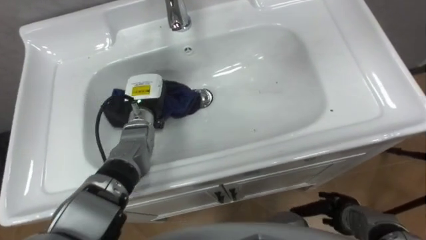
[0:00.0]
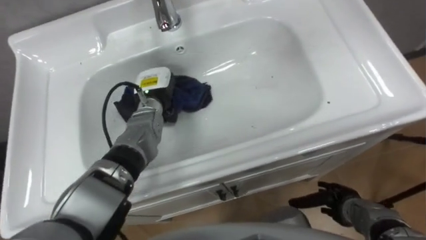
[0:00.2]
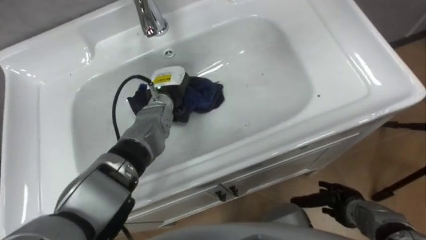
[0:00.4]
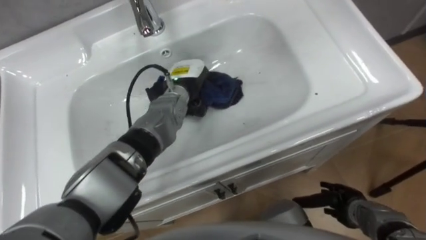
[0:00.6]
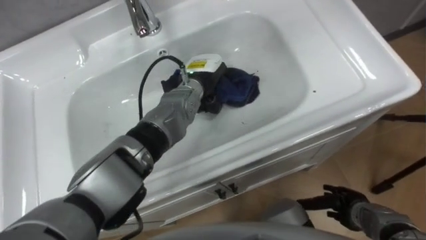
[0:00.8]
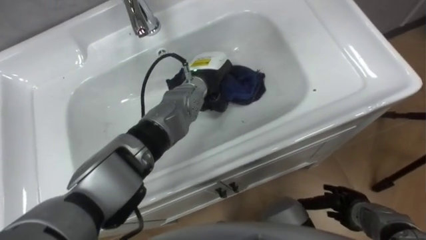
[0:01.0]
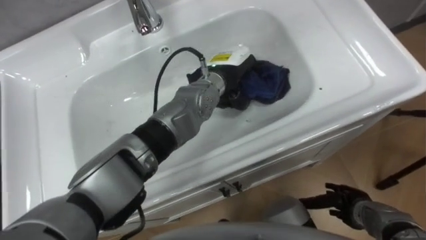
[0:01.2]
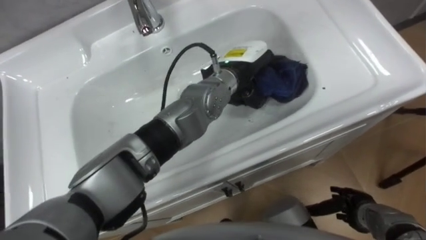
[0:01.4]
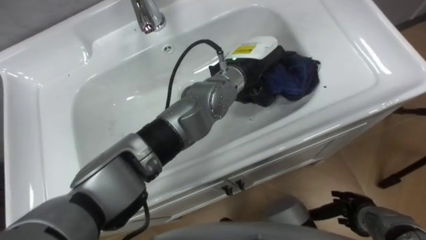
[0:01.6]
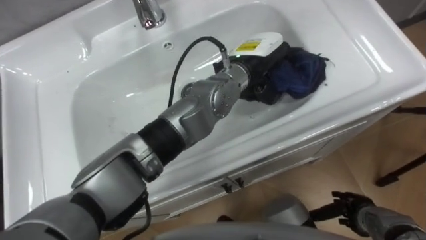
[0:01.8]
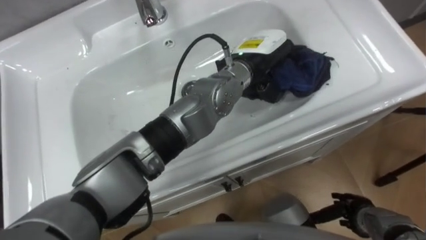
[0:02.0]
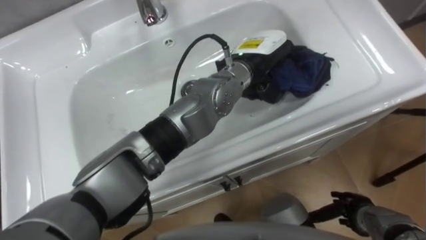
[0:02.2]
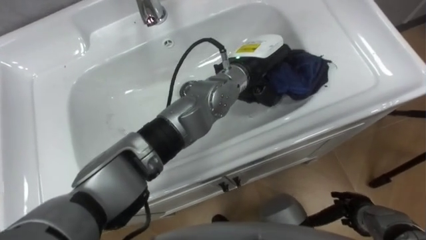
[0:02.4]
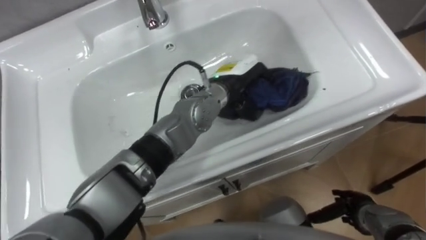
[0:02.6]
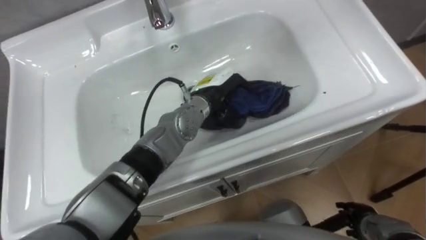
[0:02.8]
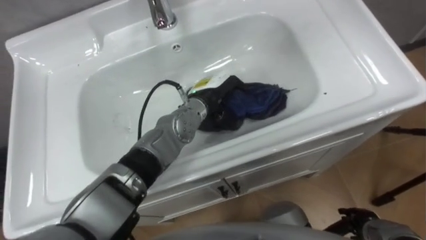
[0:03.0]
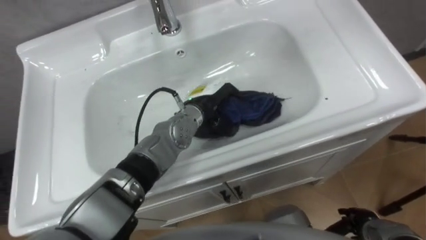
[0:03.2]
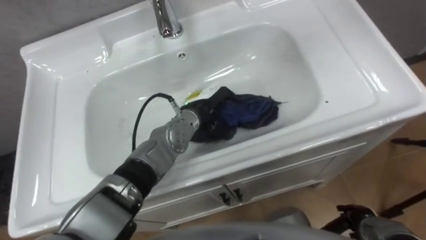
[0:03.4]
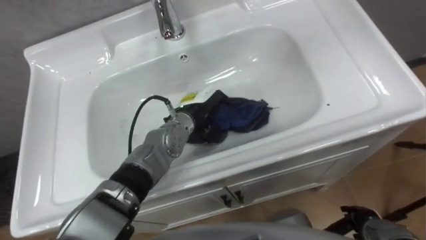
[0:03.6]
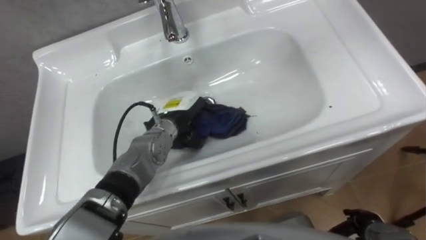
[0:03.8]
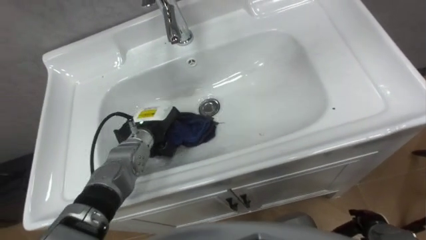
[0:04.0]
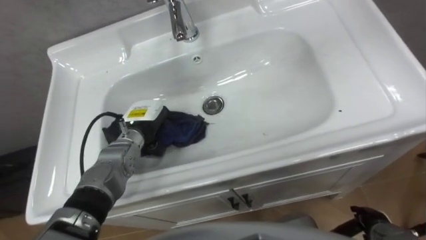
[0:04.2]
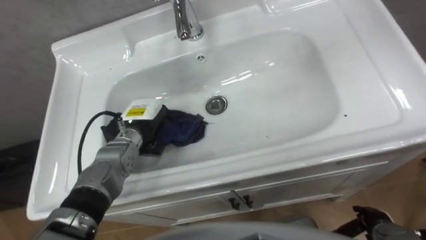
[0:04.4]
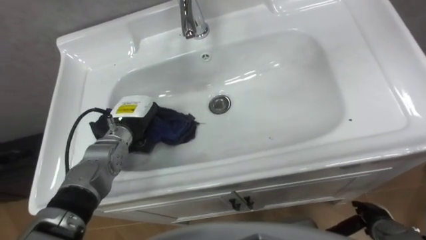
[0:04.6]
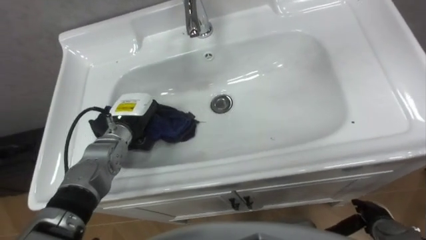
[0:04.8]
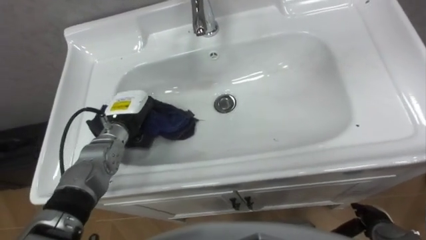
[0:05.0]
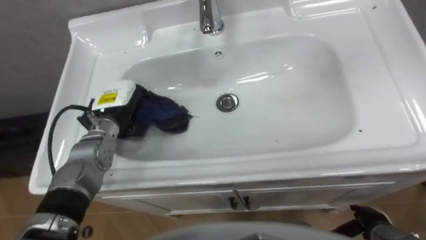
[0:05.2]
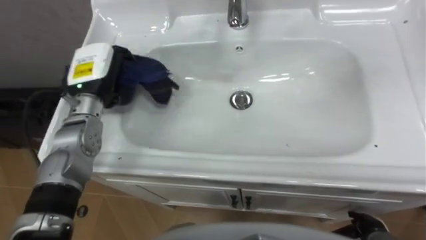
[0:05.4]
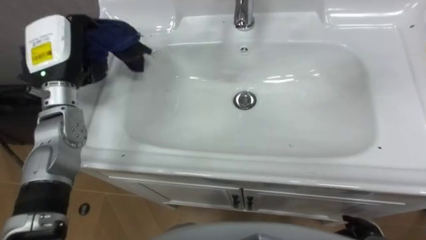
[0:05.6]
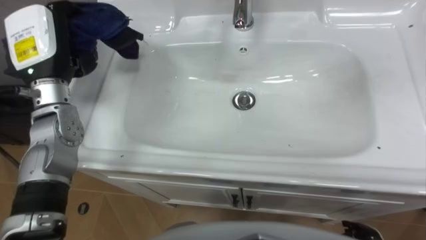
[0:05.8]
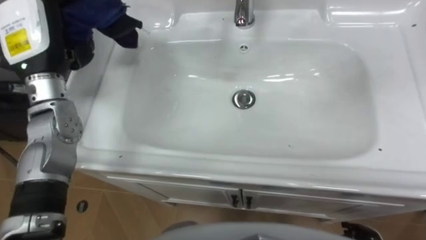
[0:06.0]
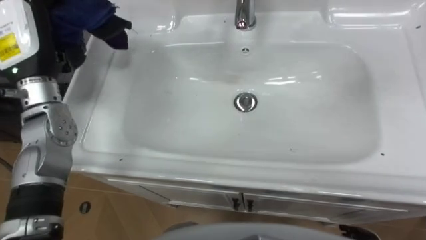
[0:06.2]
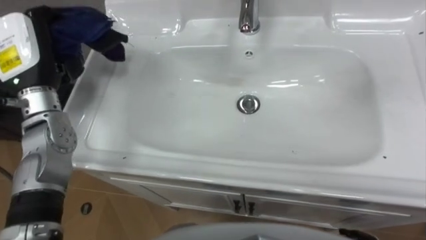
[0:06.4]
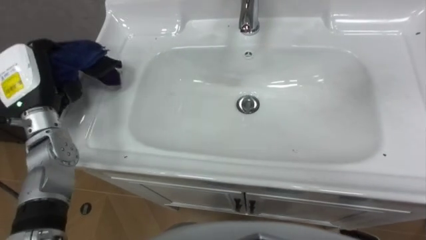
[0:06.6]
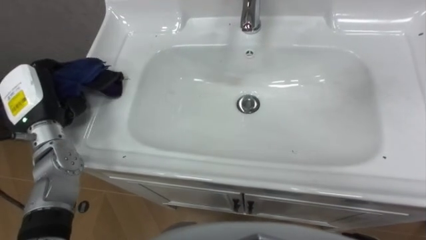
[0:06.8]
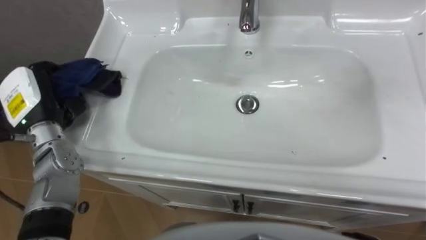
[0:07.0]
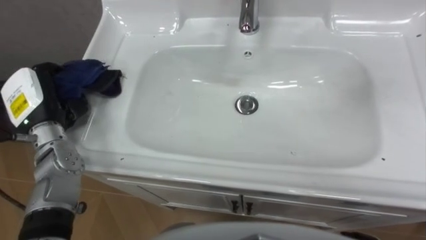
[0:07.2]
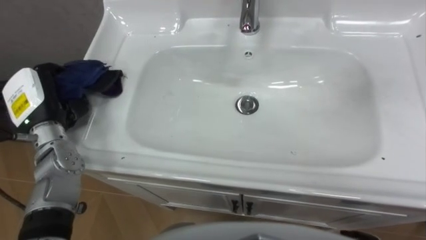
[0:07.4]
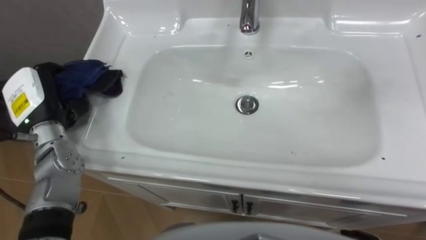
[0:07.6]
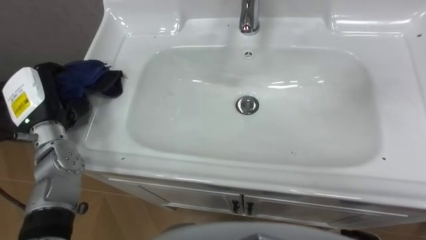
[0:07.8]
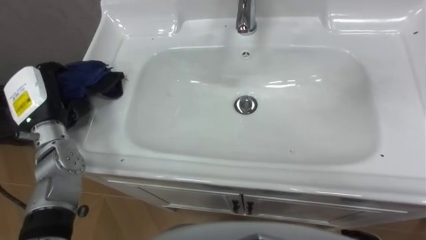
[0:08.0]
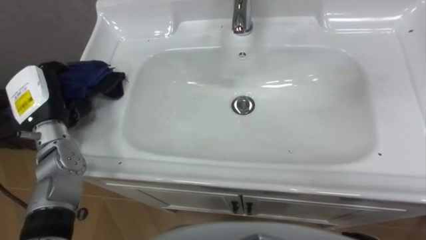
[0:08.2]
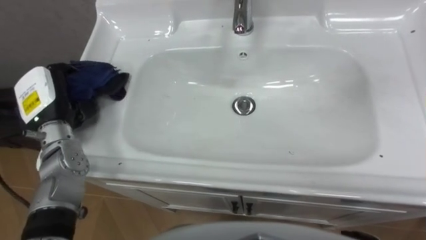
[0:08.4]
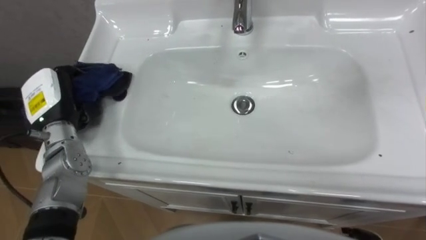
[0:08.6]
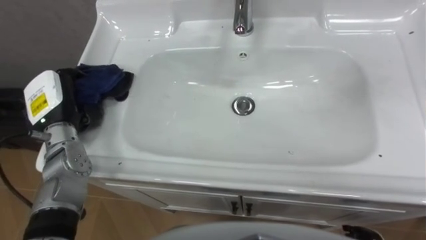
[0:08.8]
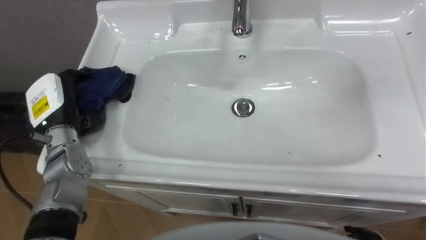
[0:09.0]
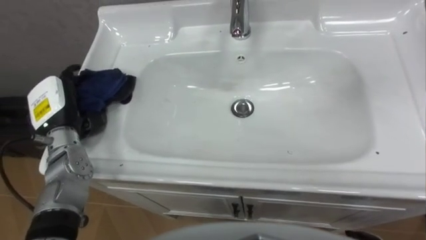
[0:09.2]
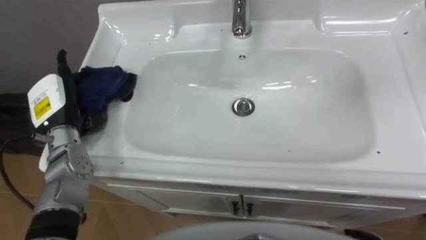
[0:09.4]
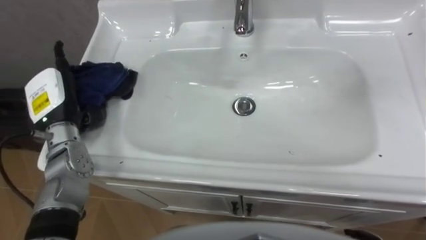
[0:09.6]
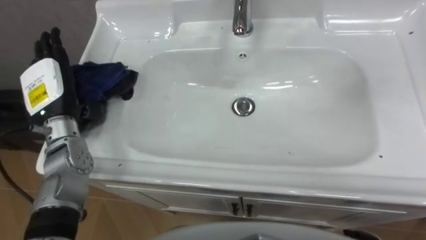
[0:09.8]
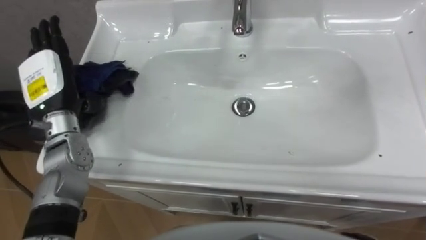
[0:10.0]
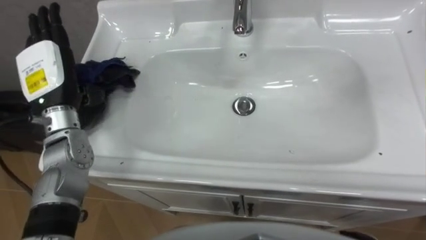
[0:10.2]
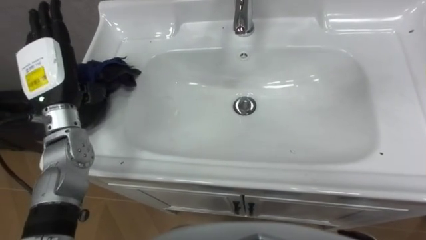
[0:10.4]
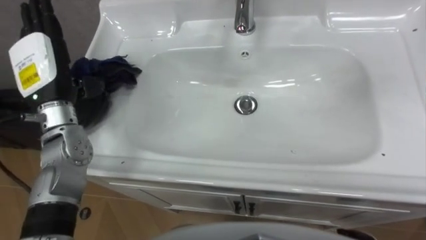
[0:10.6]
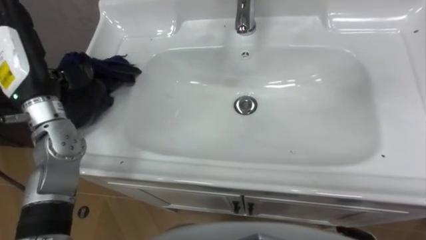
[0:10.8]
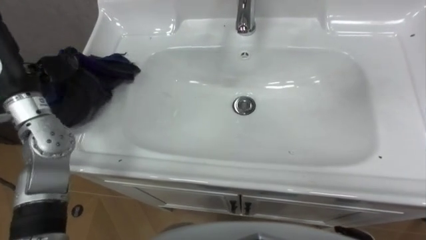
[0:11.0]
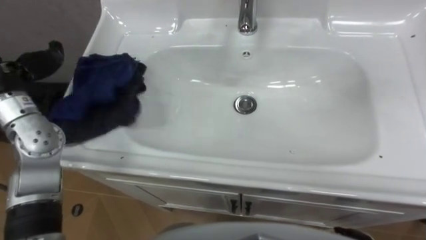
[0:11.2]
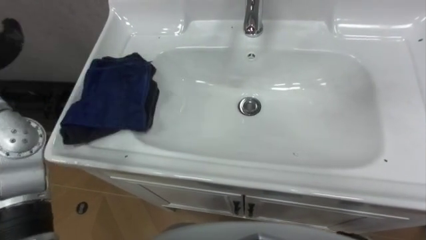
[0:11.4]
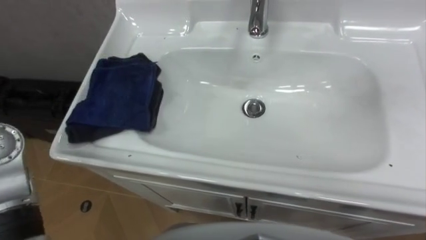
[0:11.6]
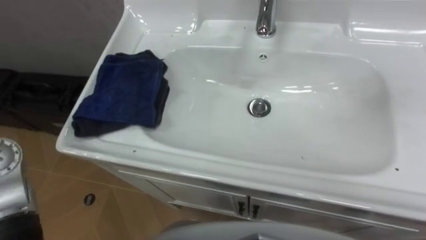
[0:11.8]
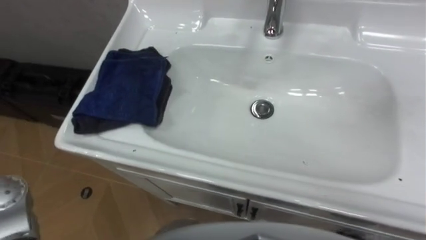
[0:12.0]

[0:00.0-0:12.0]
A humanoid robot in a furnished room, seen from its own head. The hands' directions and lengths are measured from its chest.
Task of the whole recording: Use the cloth on the right to wipe away the black stain in the sink.
0:00.0 to 0:01.6: The left hand heads to the right and upward, covering some 25 cm.
0:01.6 to 0:03.0: The left hand travels downward and to the left by about 10 cm.
0:03.0 to 0:04.4: The left hand heads to the left, covering some 15 cm.
0:04.4 to 0:06.0: The left hand moves upward and to the left, approximately 25 cm.
0:06.0 to 0:07.6: The left hand heads downward, covering about 10 cm.
0:09.0 to 0:10.4: The left hand heads upward, covering roughly 5 cm, and opens its fingers.

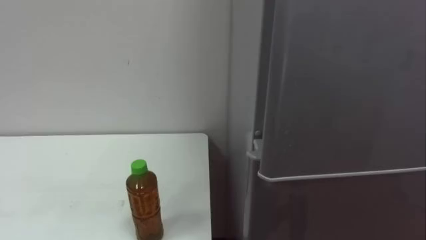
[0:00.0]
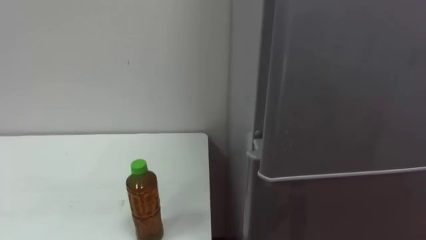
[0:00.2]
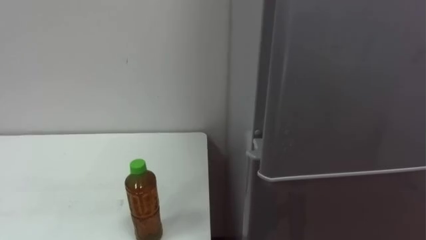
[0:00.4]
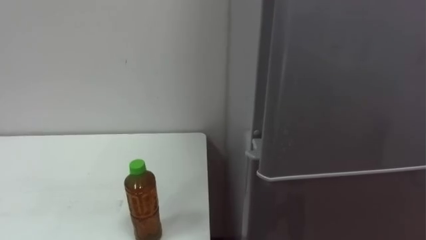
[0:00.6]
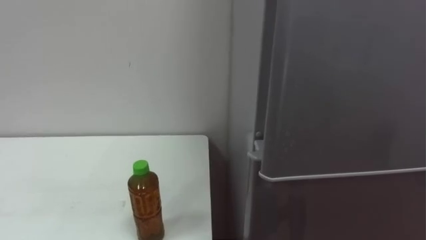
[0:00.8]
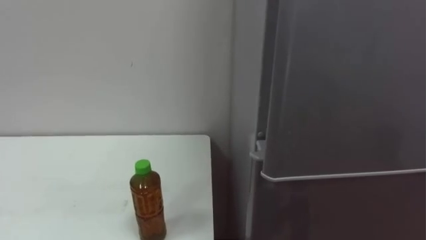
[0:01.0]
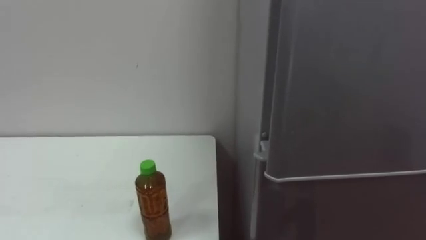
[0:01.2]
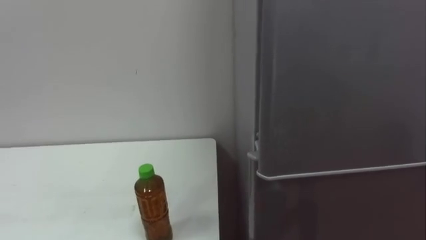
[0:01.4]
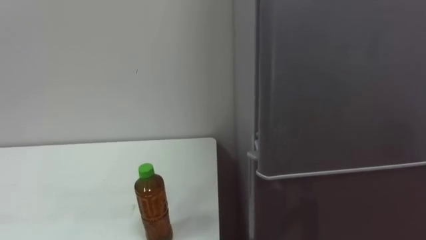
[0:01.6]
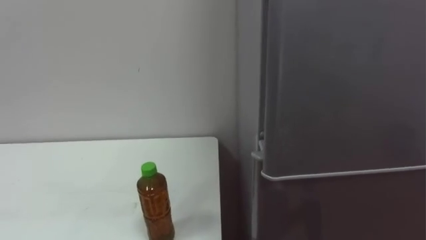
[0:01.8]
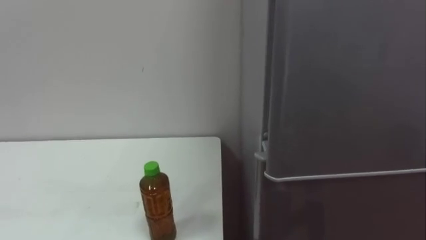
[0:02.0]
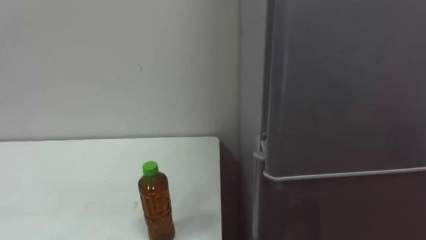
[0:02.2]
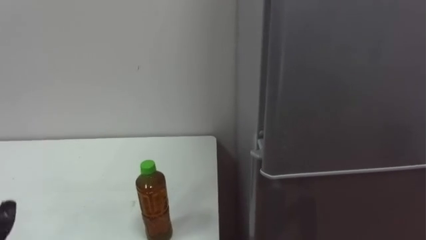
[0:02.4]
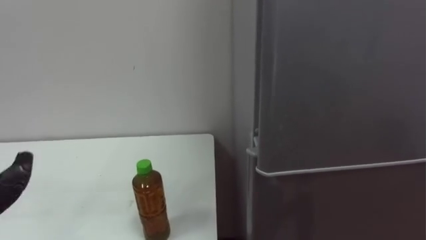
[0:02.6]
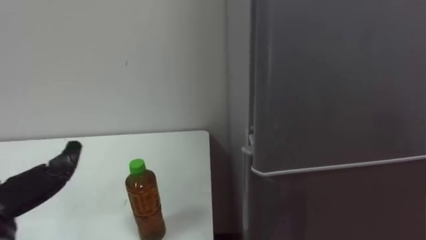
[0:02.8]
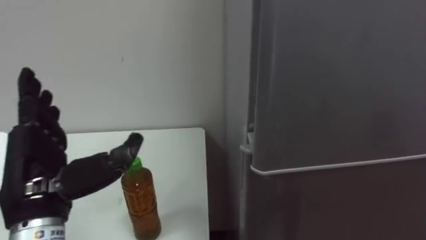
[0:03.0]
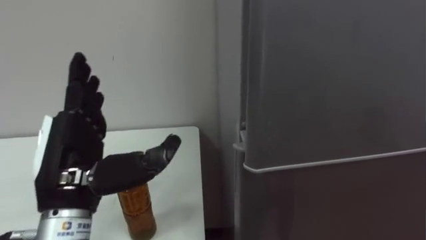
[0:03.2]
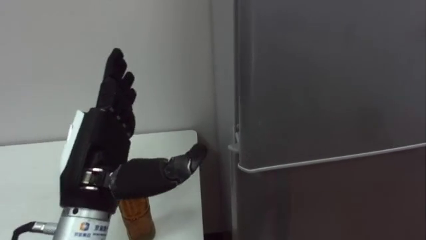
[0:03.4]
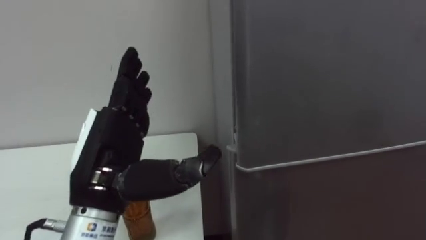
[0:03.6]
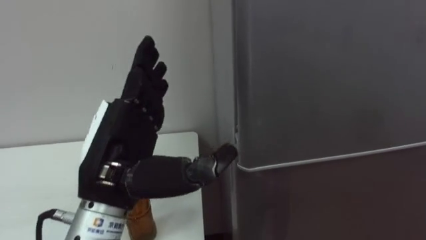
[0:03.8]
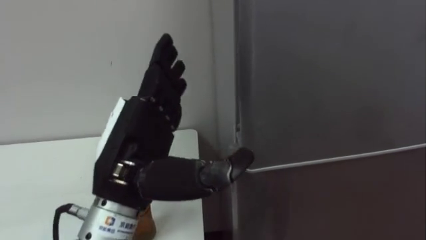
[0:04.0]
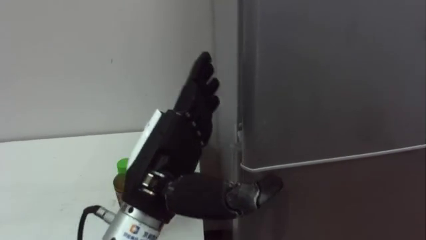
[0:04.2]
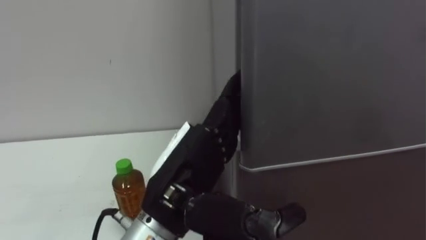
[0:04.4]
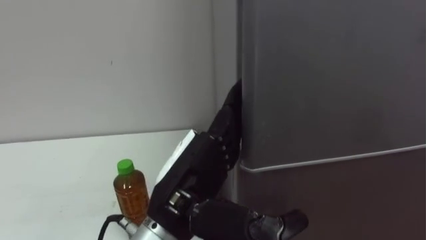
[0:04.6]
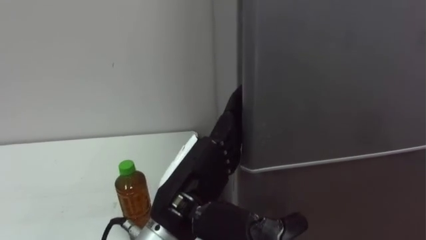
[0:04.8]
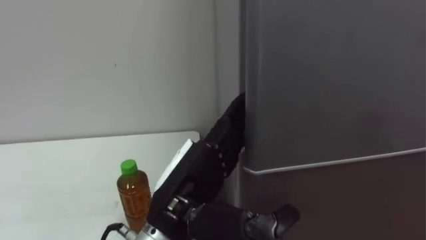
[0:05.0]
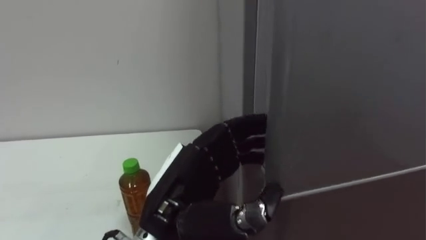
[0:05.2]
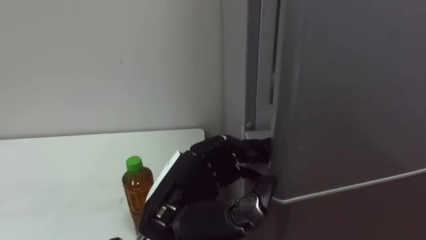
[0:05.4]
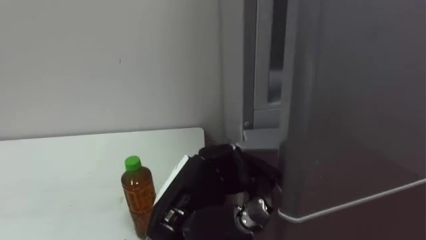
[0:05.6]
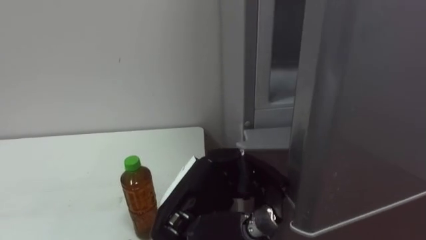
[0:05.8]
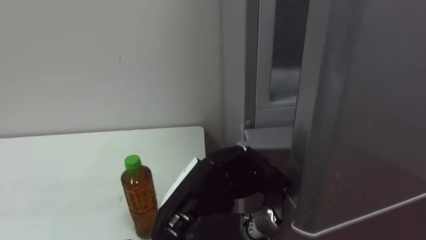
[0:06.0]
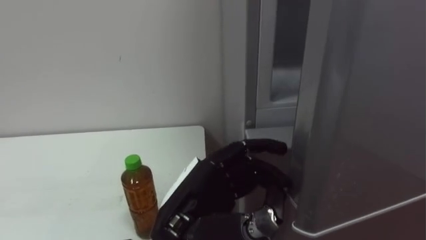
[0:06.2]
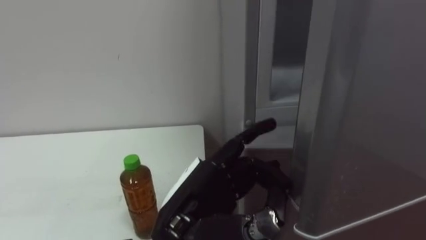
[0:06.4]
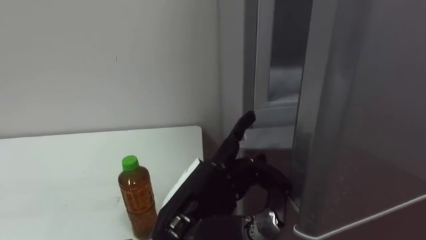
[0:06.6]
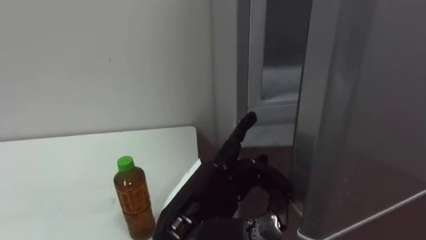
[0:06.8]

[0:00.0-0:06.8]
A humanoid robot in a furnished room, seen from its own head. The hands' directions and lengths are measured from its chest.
Task of the whole recording: Open the upper refrigerator door, put the drink from the table into the refrigerator, and then close the refrigerator door.
0:04.0 to 0:05.4: The left hand goes about 10 cm downward and to the right, and closes its fingers.
0:05.4 to 0:06.8: The left hand opens its fingers.
